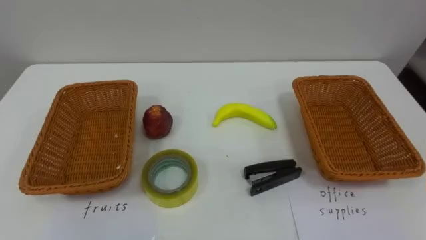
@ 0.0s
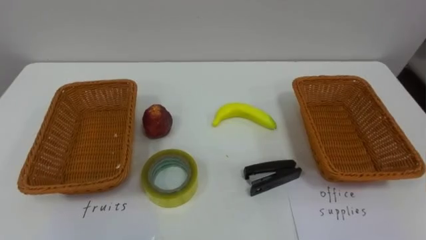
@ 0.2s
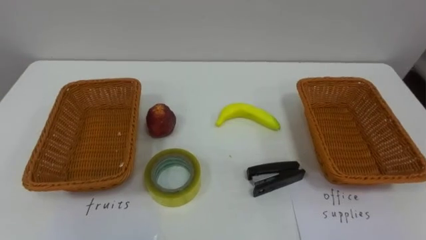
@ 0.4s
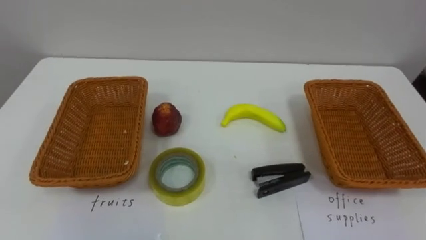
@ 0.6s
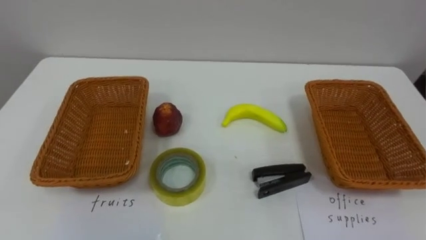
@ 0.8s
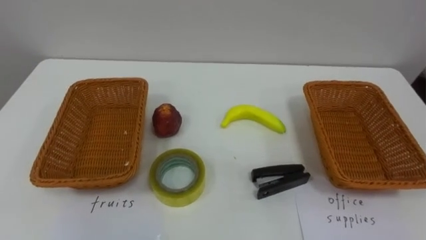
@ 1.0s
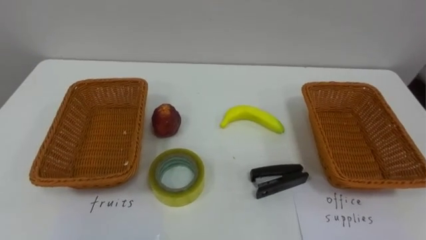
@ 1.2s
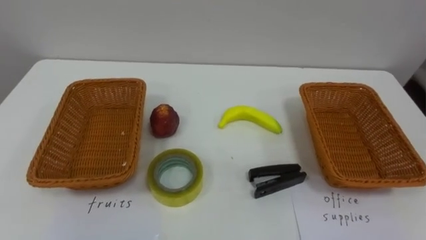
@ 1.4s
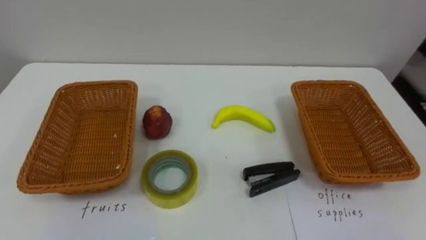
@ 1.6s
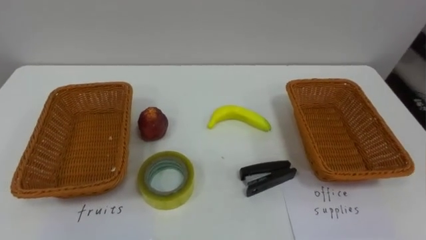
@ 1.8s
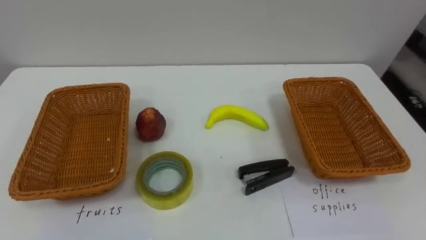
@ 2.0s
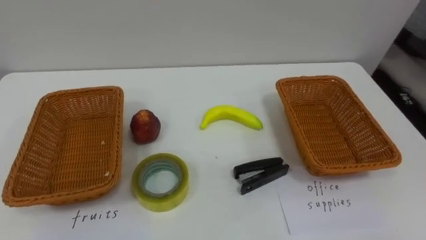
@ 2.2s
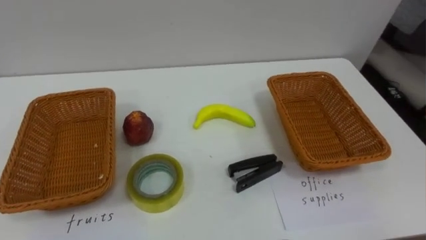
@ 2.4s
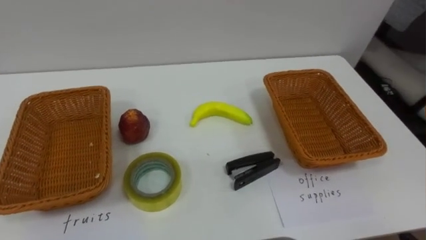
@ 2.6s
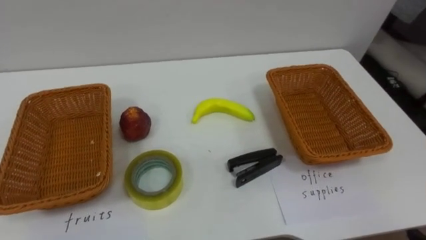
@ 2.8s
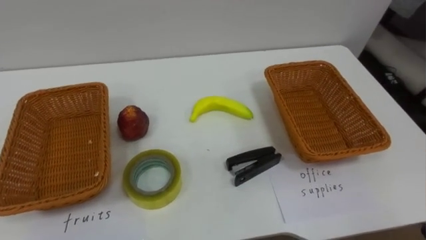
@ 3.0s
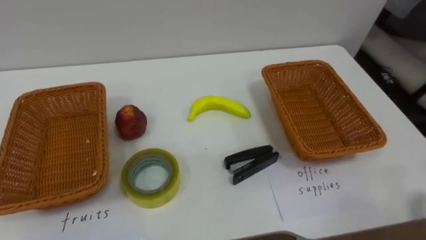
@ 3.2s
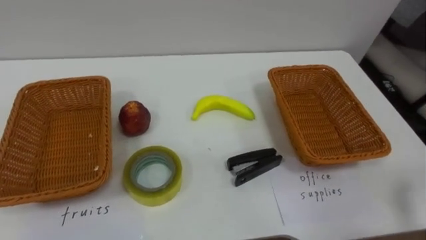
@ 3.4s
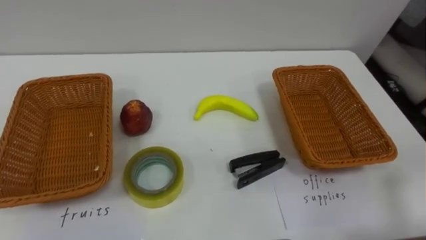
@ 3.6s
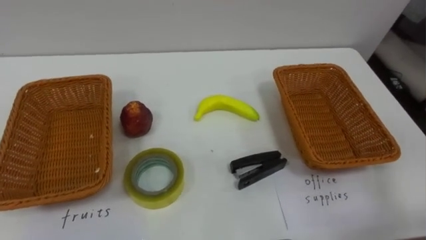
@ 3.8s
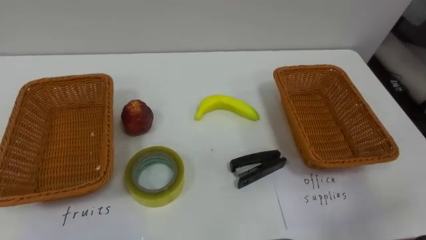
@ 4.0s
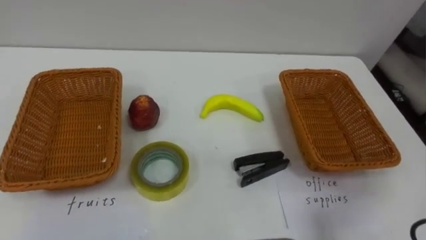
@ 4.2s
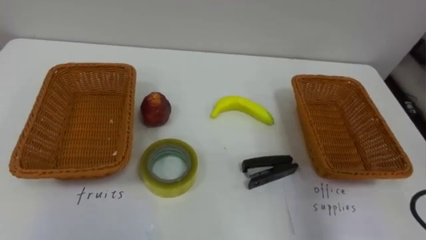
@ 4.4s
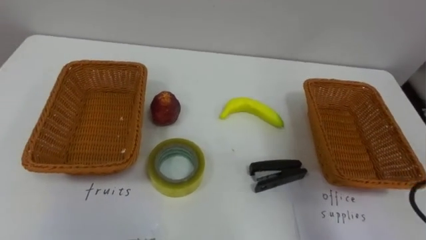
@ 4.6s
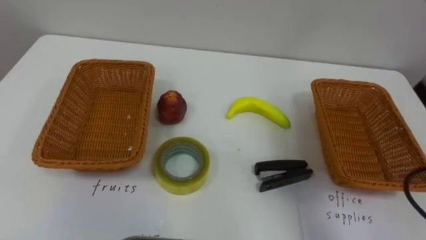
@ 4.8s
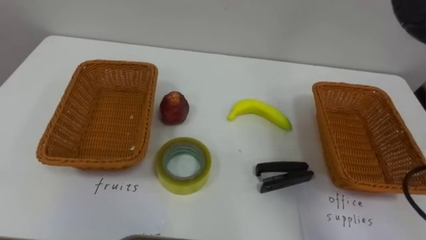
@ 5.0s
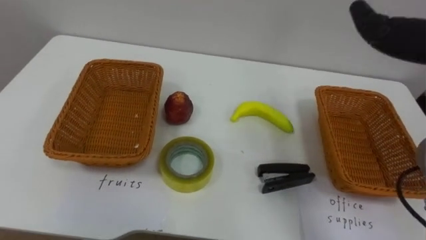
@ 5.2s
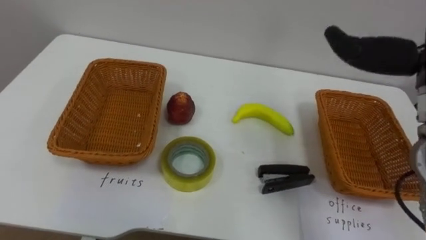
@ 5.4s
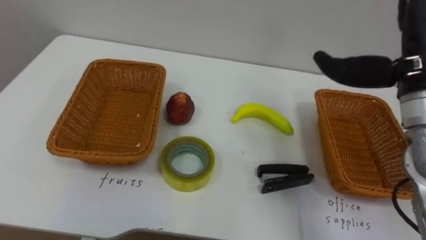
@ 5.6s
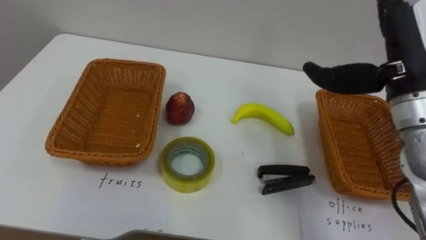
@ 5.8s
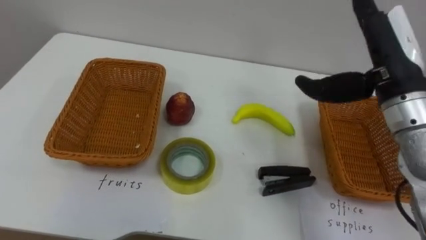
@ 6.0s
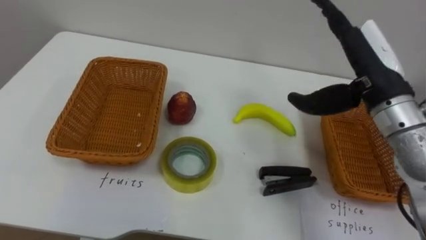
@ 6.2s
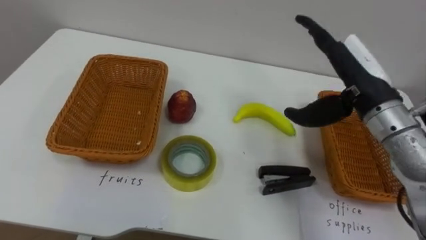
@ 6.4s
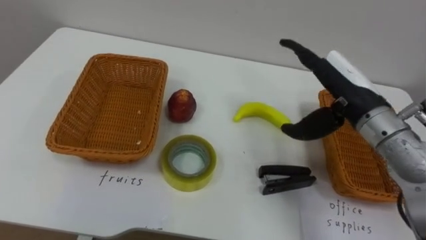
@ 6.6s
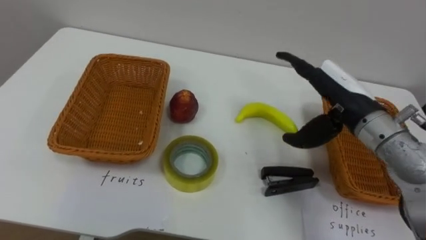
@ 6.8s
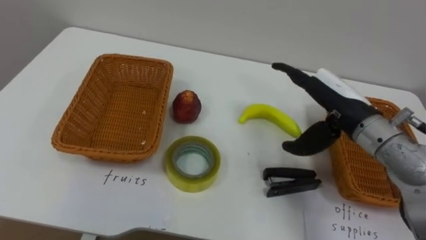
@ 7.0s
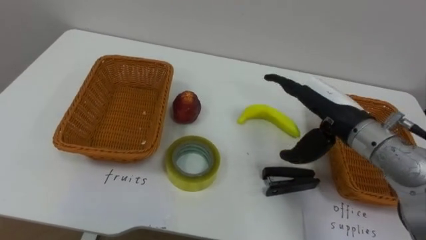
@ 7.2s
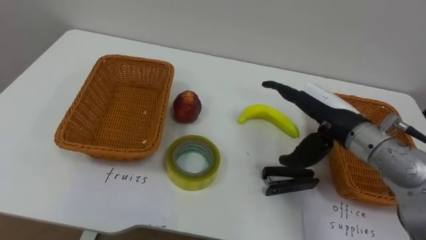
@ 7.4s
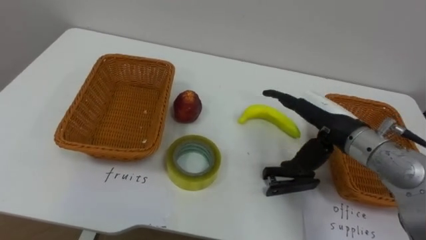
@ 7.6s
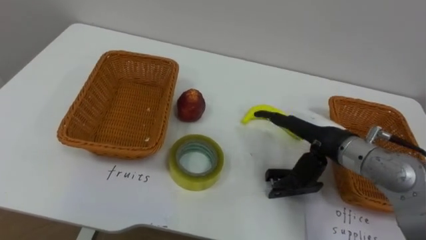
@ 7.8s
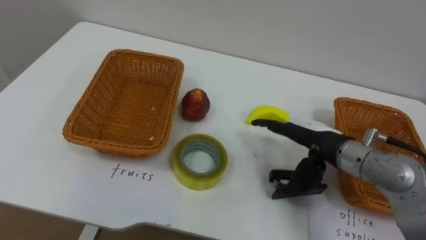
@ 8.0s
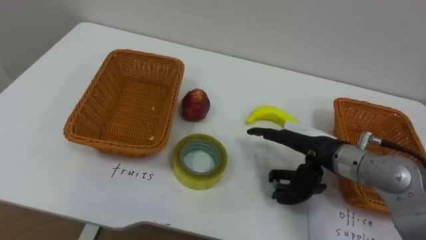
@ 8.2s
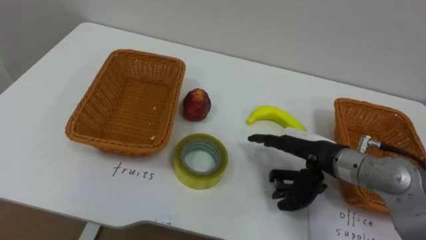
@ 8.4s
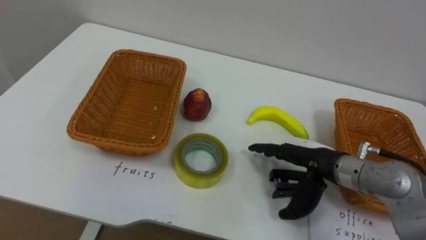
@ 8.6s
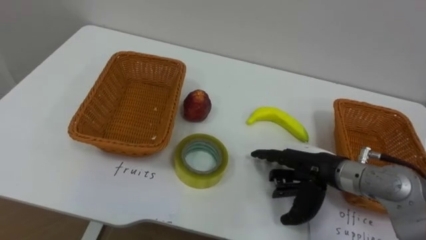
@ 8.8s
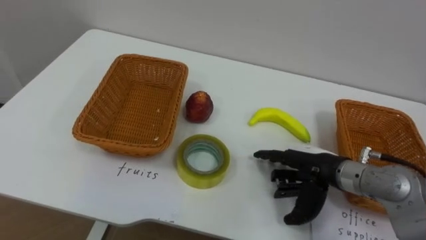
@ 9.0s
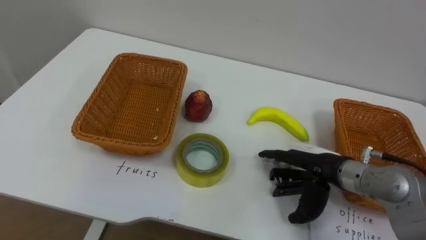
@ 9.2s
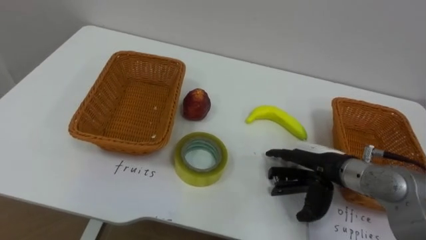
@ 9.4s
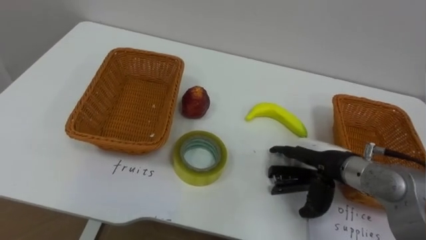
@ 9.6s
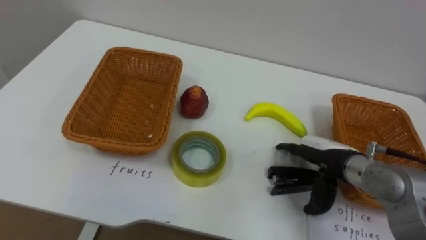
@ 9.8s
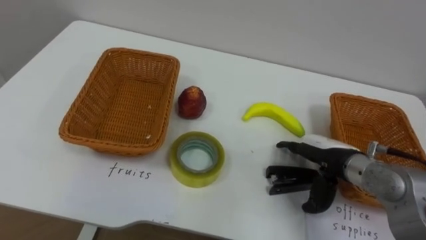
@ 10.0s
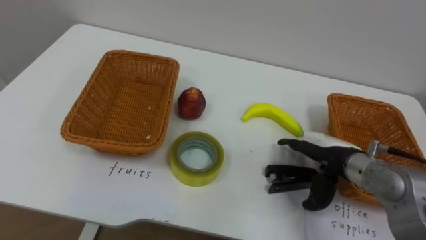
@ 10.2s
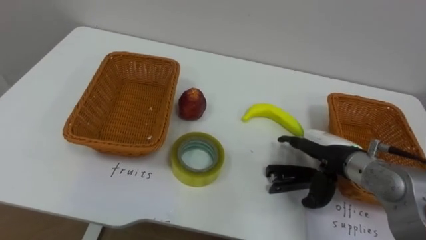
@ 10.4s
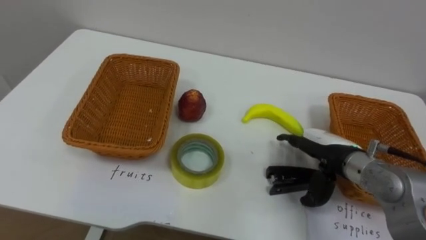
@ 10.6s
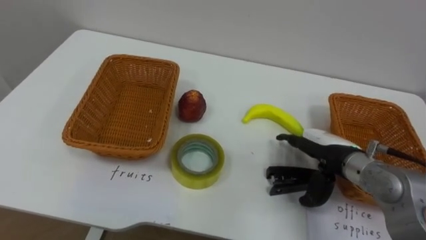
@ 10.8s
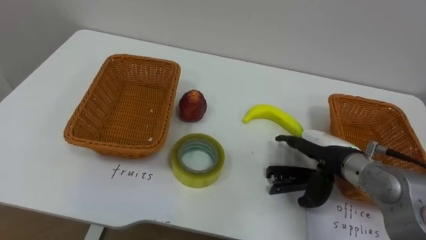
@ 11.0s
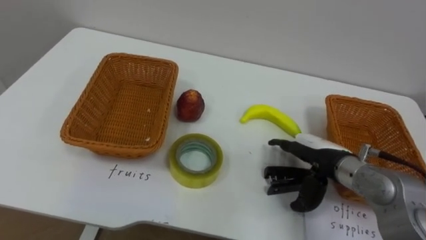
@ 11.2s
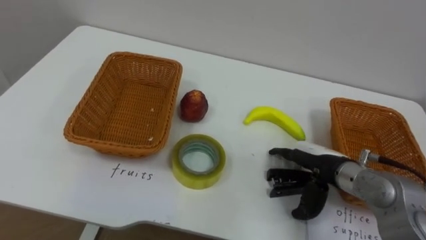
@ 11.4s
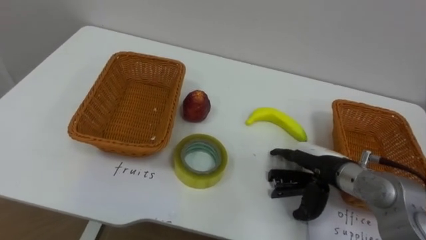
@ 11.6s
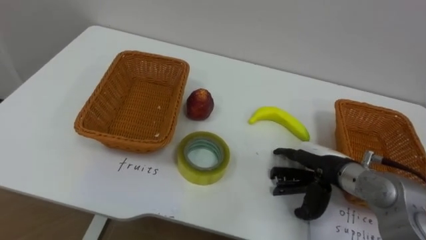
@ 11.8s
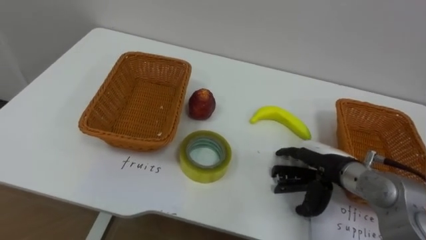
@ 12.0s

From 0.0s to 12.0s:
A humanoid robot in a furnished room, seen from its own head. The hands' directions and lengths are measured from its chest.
Task of the whole recording: Separate the items on the table and place them into the two baskets.
From 6.0s to 7.6s: The right hand shifts approximately 10 cm downward.
From 7.6s to 9.0s: The right hand shifts some 5 cm downward.

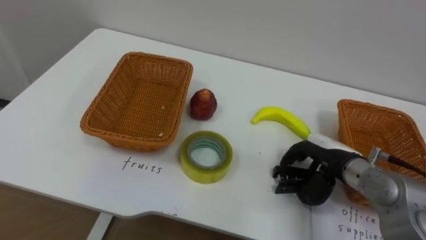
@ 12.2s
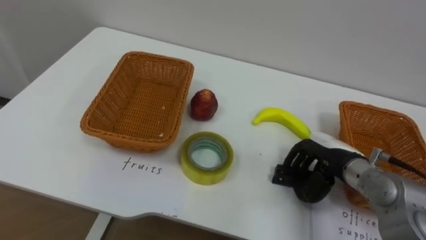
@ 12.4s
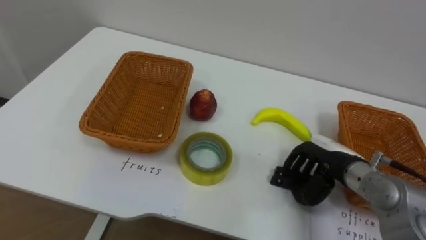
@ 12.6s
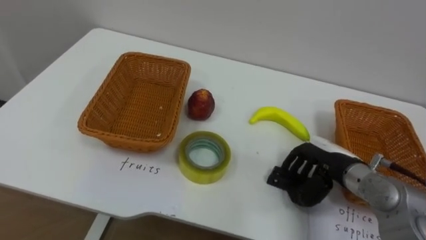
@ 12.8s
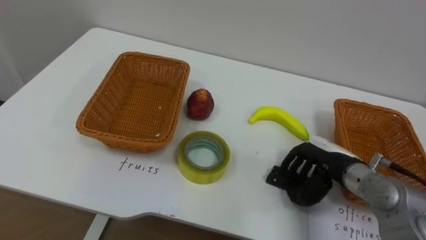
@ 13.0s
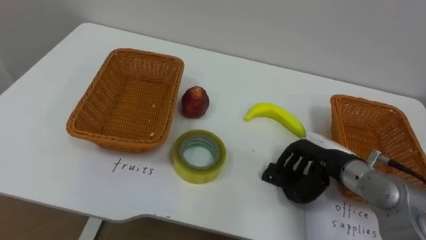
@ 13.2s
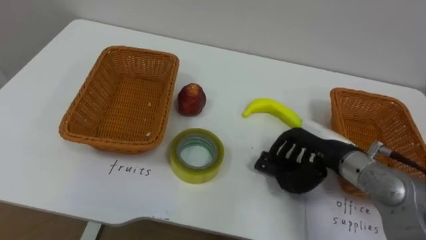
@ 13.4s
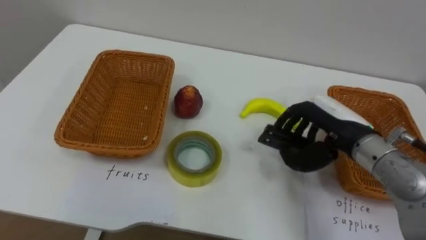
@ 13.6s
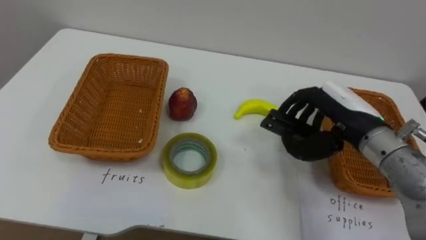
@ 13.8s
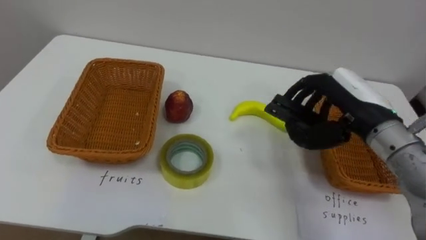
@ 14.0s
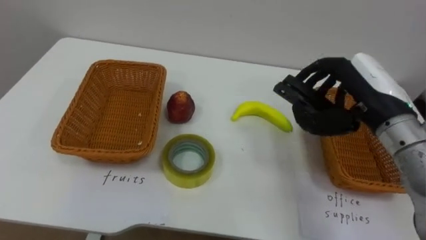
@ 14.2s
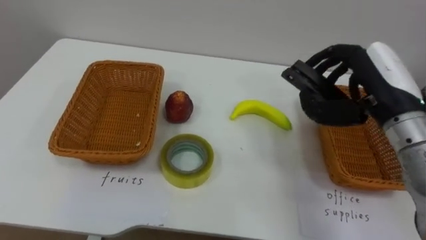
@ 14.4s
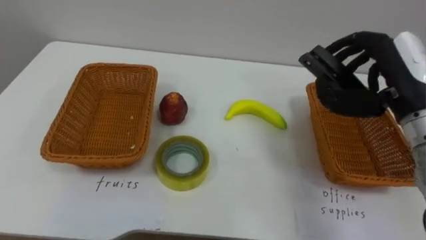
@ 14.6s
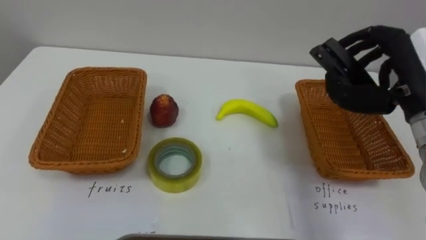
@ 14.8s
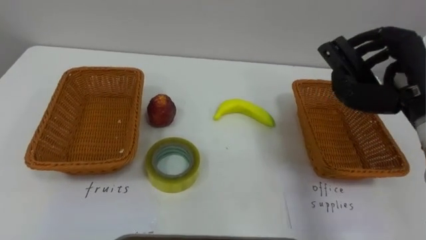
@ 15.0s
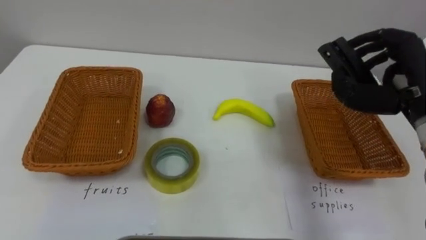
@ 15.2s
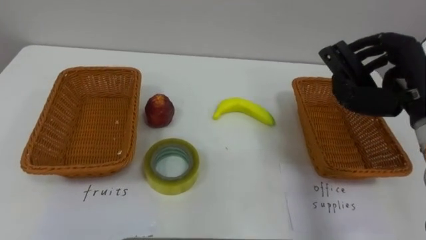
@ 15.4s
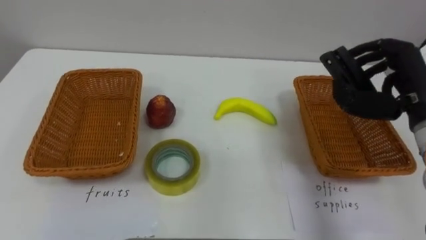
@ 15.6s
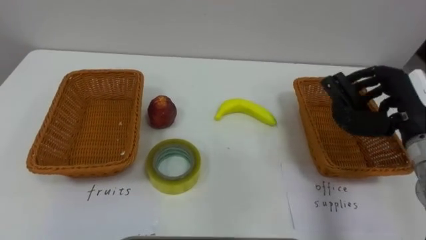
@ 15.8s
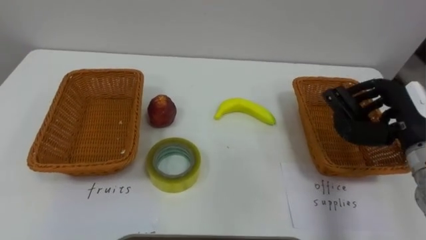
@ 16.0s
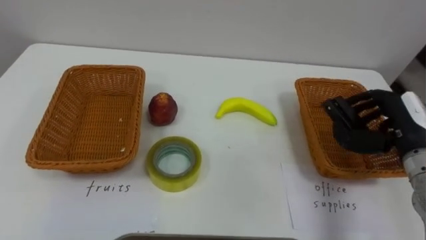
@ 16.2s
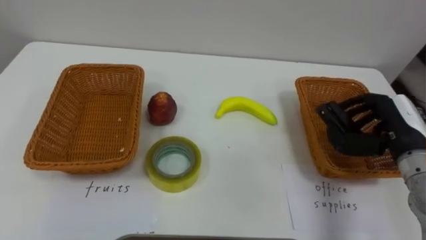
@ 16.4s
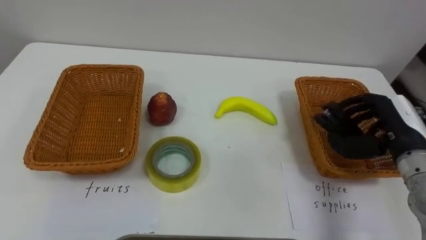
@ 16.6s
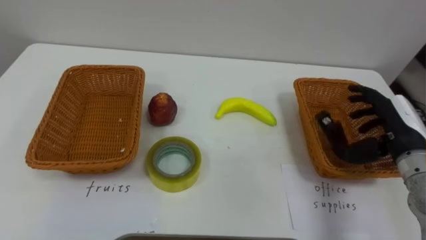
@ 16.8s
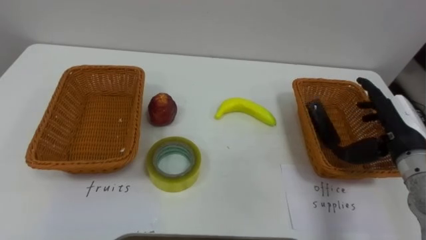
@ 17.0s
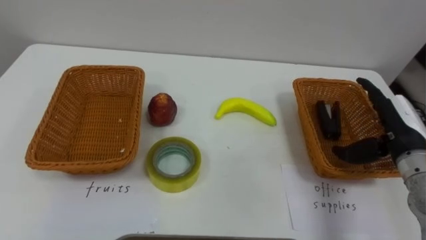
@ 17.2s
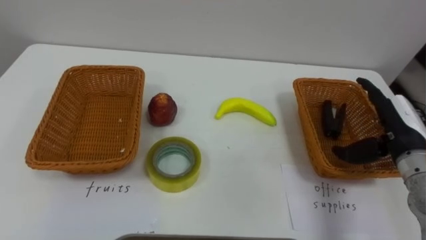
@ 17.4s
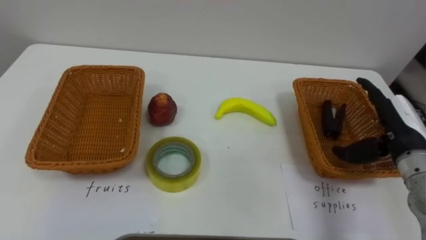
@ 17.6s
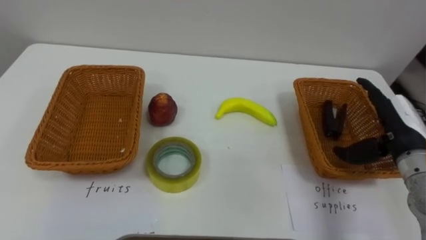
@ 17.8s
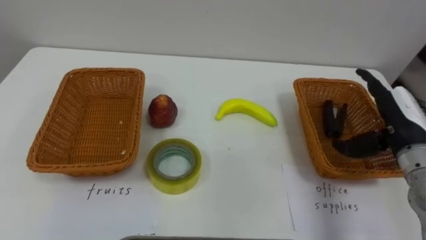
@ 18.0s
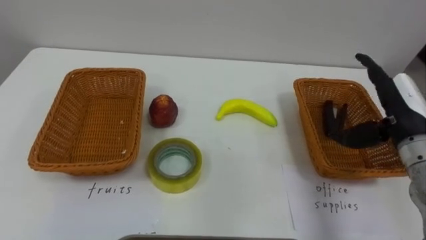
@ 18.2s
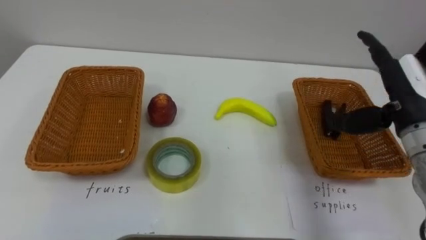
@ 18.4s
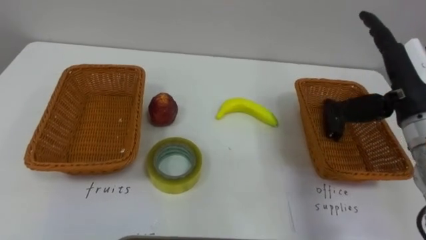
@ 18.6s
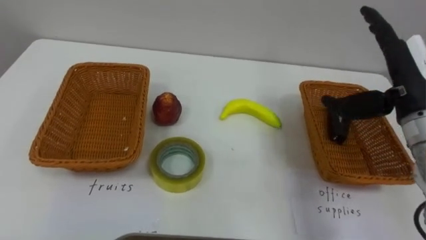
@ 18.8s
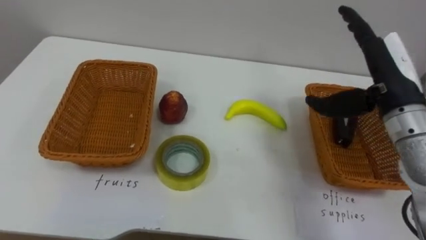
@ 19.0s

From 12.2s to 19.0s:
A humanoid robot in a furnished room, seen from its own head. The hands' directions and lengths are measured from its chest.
Task of the whole recording: Separate the items on the table and place them into the two baskets.
From 12.2s to 13.6s: The right hand shifts approximately 10 cm upward.
From 13.6s to 15.0s: The right hand goes some 15 cm upward and to the right.
From 15.0s to 16.2s: The right hand moves downward, about 10 cm.
From 16.2s to 17.6s: The right hand opens.
From 17.6s to 19.0s: The right hand is displaced upward and to the left by approximately 10 cm.
